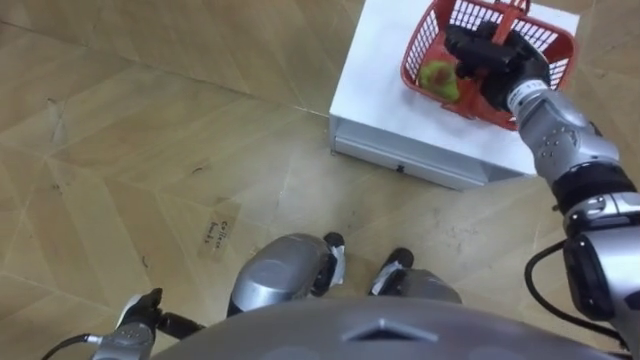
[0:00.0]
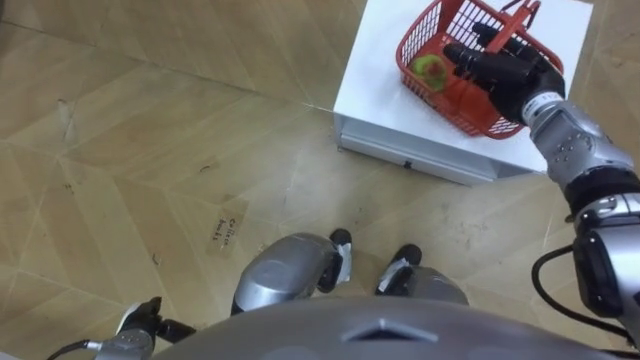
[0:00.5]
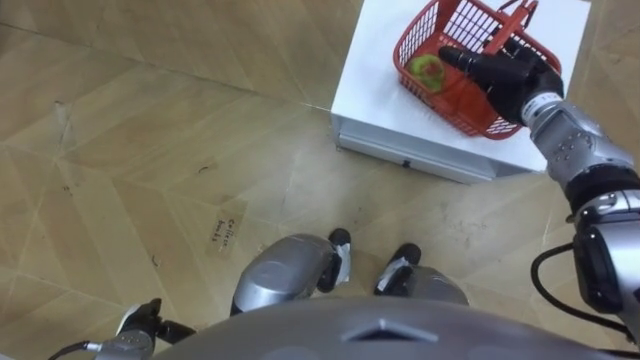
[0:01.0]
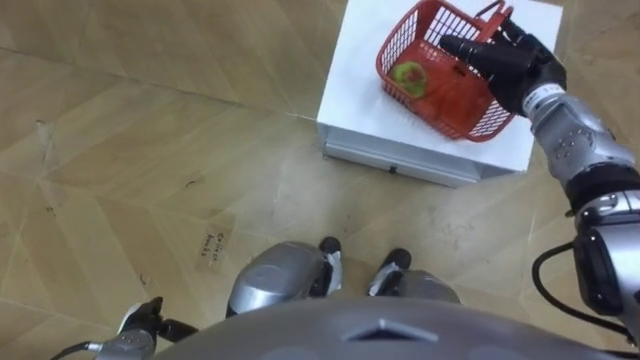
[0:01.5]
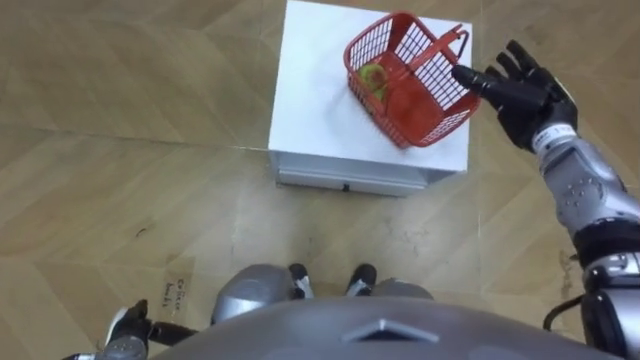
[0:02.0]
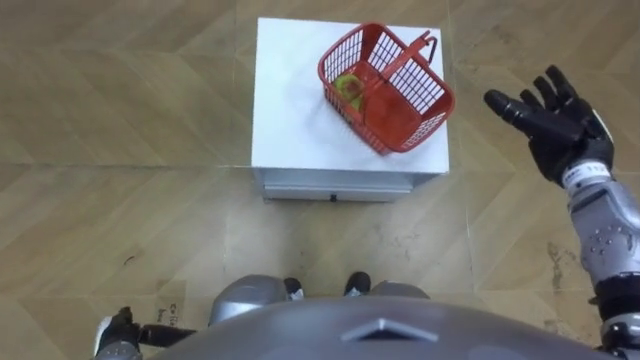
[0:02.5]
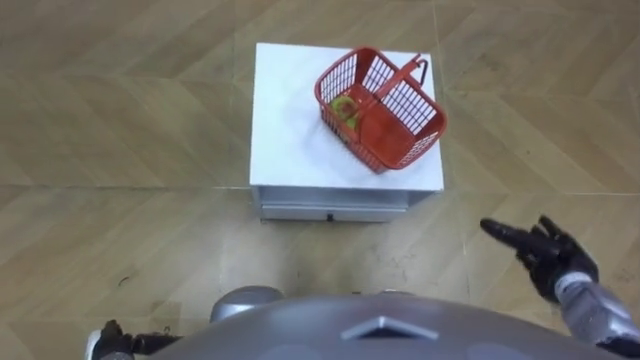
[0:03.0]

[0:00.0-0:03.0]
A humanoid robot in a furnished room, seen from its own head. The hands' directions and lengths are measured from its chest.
Task of the whole recording: Pick up the fruit basket from the floor and place it on the cabinet.
0:00.0 to 0:01.5: The right hand opens up.
0:01.5 to 0:03.0: The right hand goes about 30 cm backward and downward.

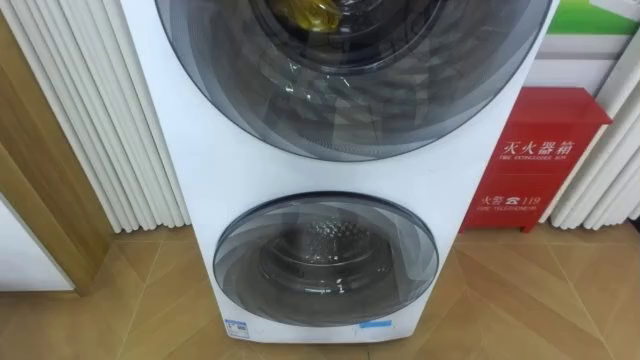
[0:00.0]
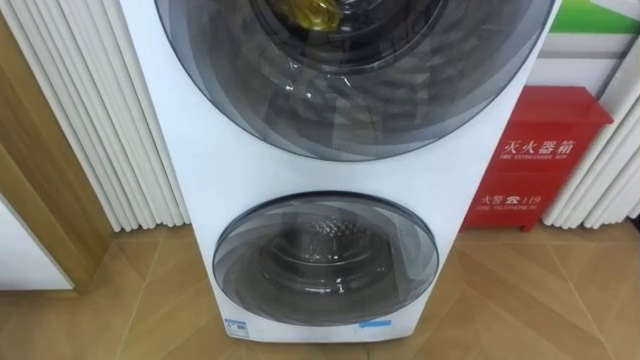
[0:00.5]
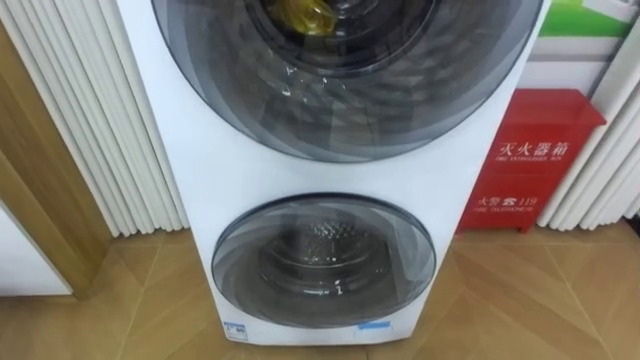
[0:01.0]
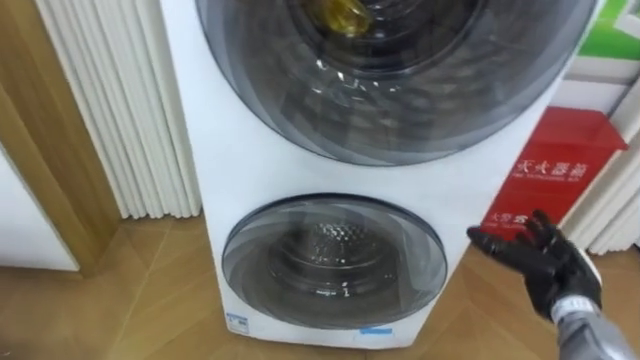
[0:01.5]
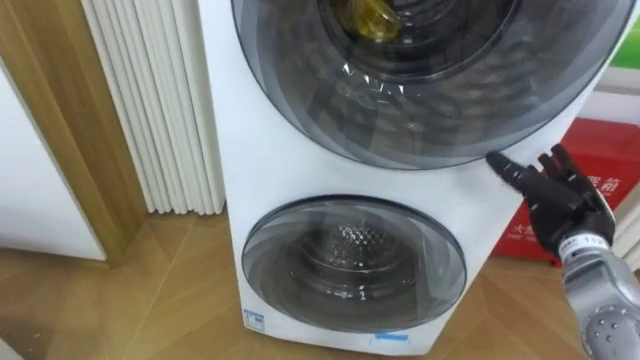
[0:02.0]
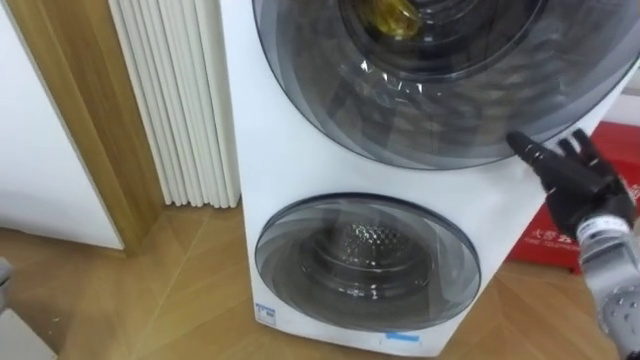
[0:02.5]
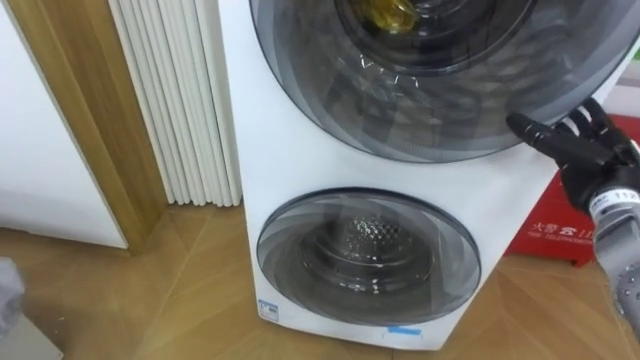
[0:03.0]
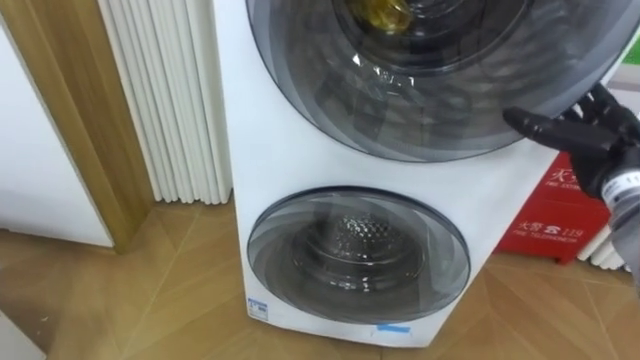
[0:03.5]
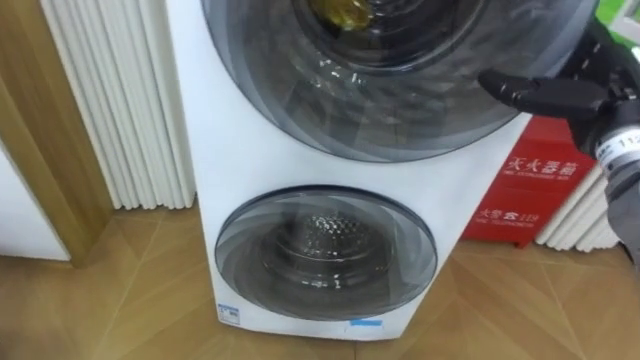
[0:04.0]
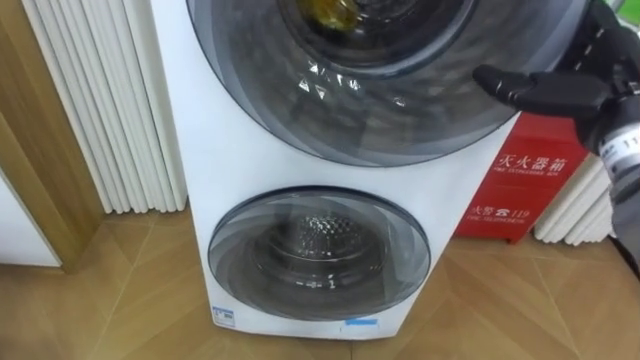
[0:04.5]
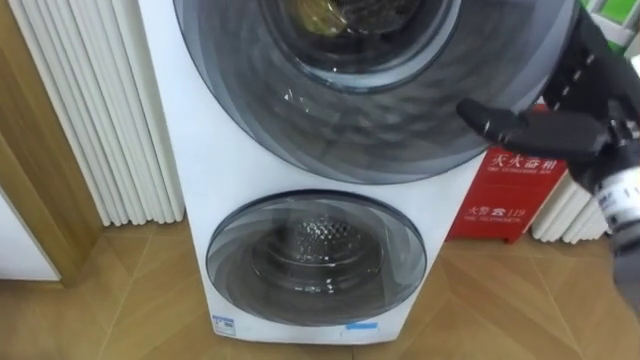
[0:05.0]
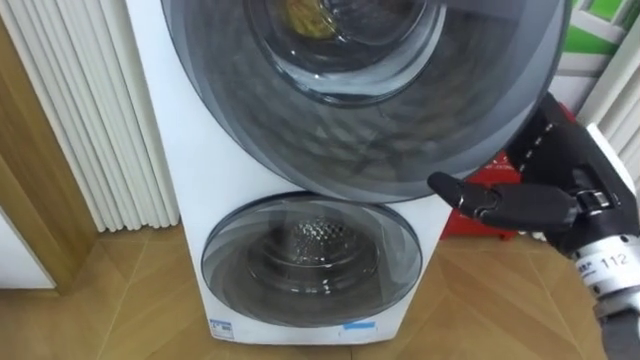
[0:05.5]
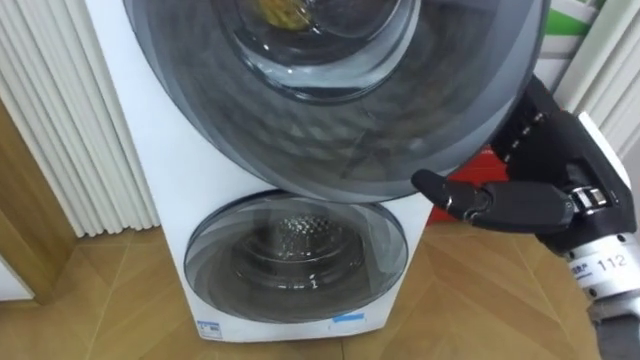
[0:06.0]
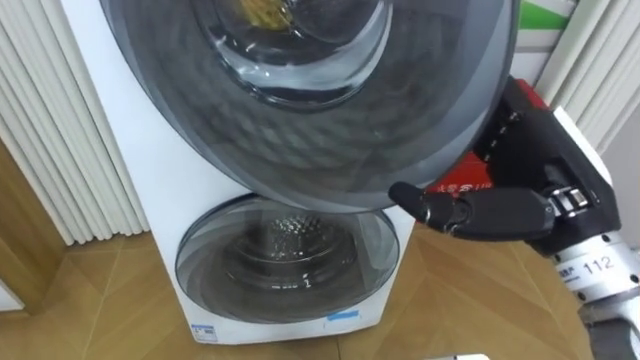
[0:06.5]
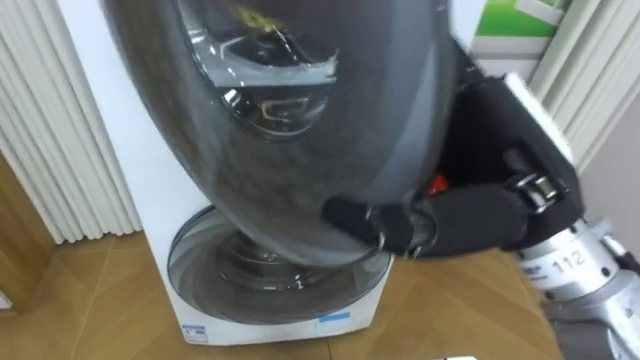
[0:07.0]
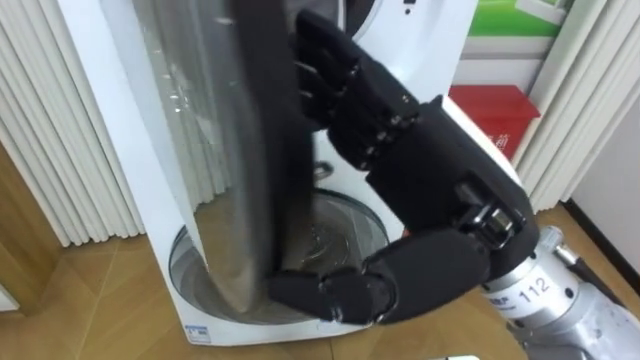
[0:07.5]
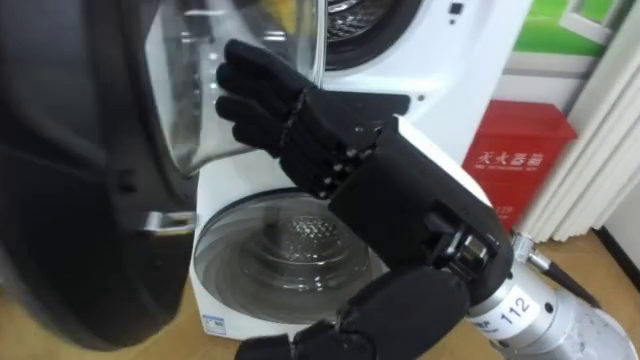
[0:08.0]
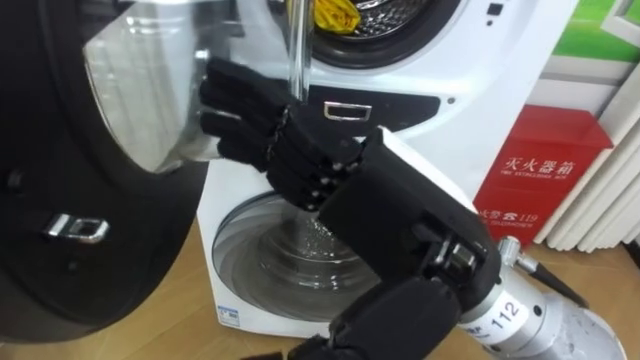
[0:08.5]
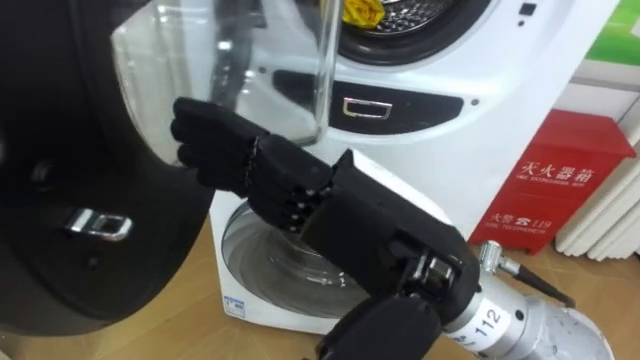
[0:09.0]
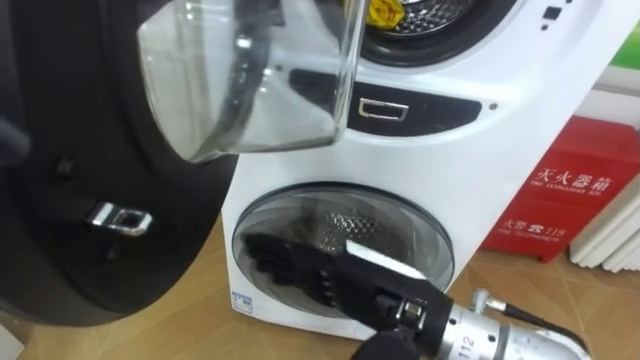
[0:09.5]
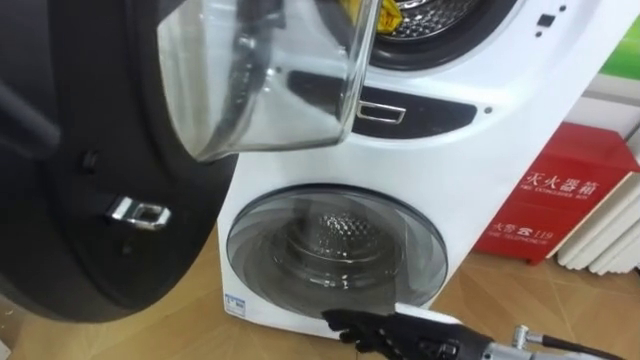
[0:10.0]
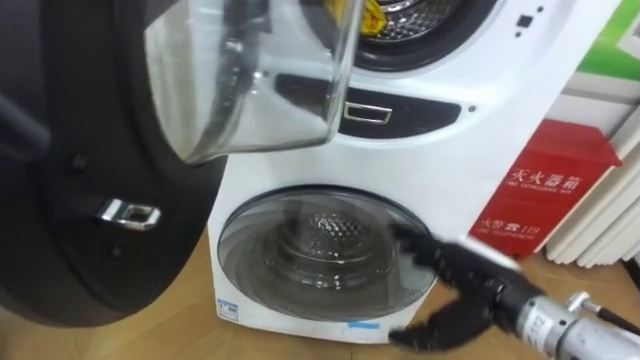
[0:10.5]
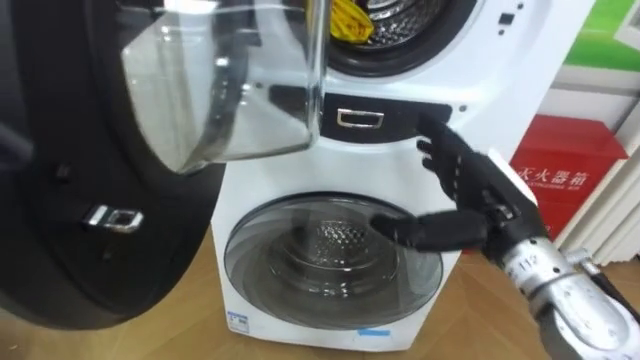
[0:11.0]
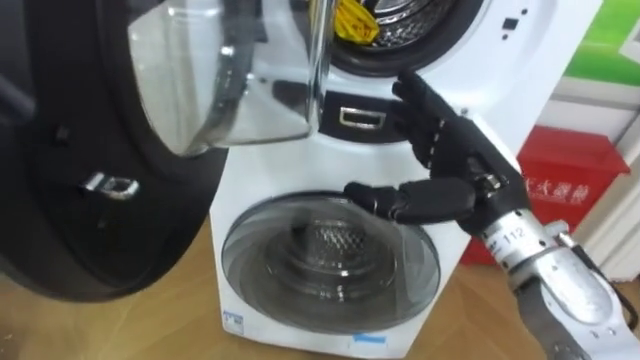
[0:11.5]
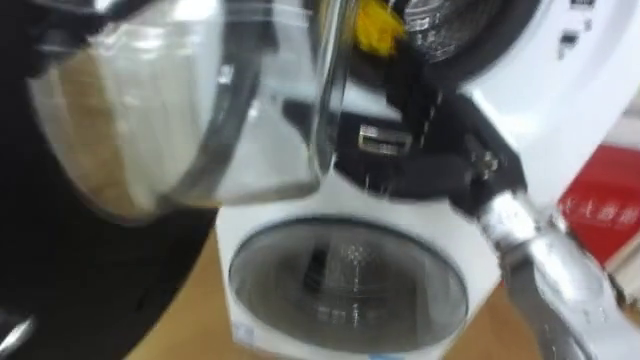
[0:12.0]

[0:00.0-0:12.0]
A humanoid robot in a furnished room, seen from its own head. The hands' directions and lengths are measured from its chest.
Task of the whole recording: Open the washing machine door, take out the yellow clothes, place them in the box on the right, and close the washing machine door.
0:02.0 to 0:04.0: The right hand is displaced upward by about 15 cm.
0:04.0 to 0:06.0: The right hand heads backward and to the left, covering some 15 cm.
0:06.0 to 0:08.0: The right hand shifts approximately 15 cm to the left and backward.
0:08.0 to 0:10.0: The right hand goes roughly 25 cm downward.
0:10.0 to 0:12.0: The right hand goes about 20 cm upward and forward.

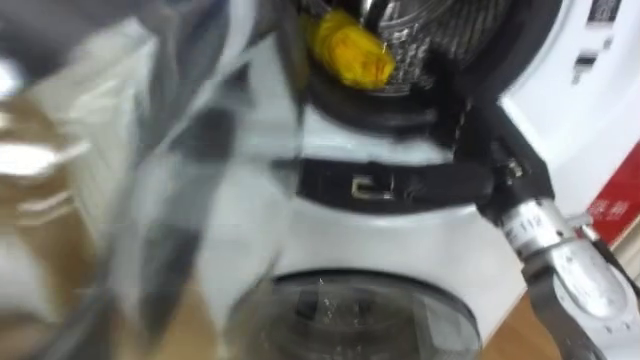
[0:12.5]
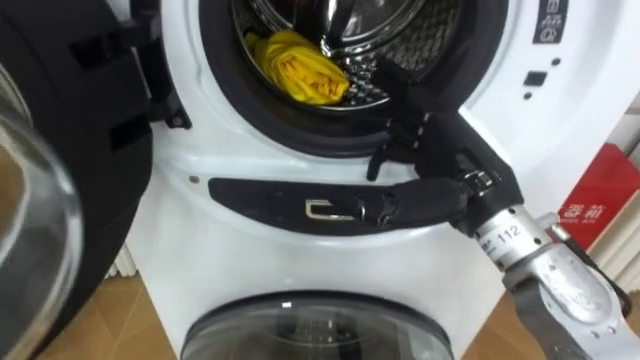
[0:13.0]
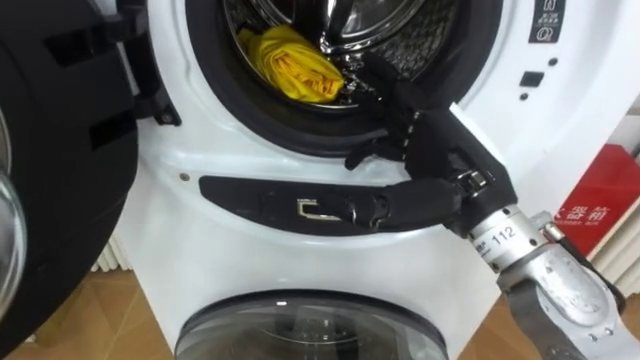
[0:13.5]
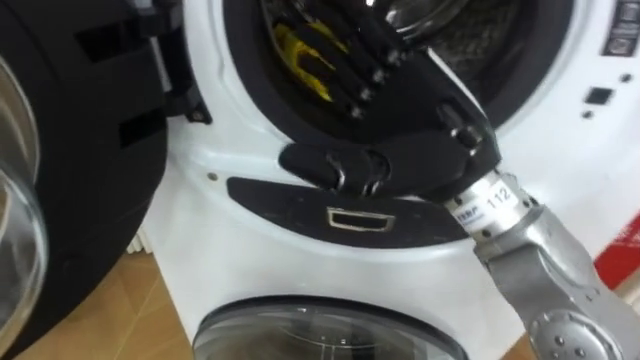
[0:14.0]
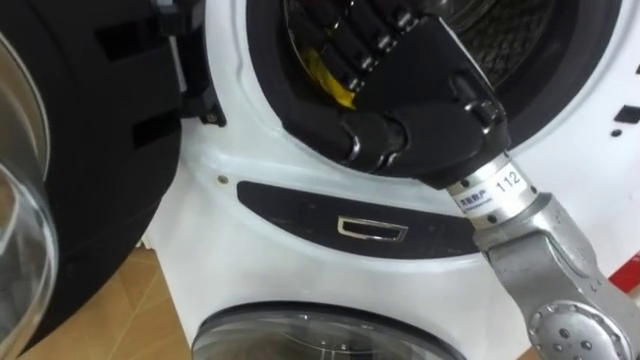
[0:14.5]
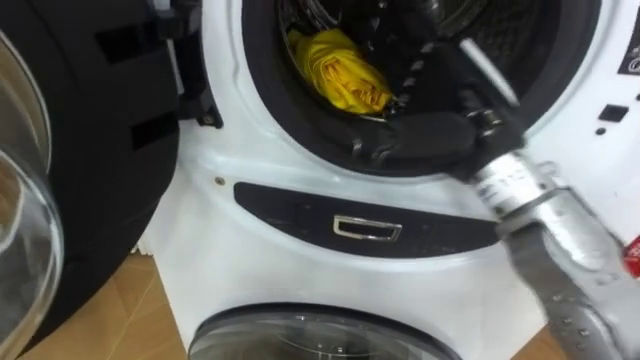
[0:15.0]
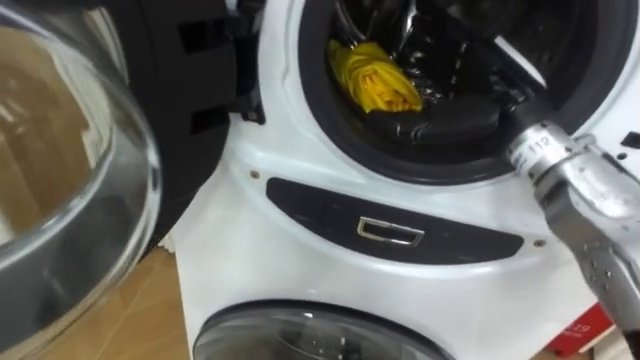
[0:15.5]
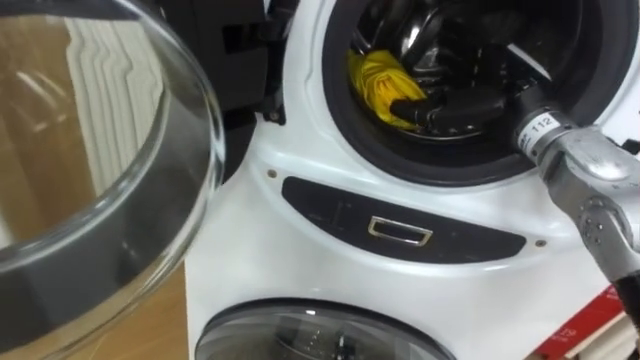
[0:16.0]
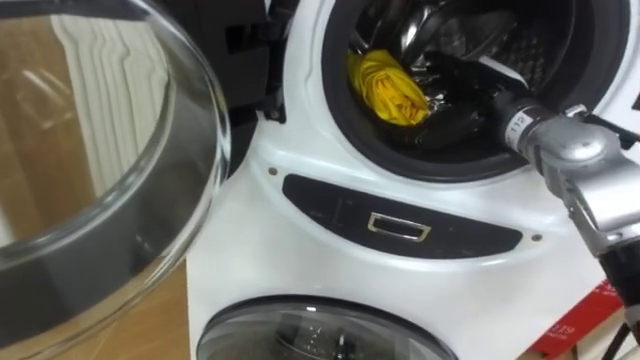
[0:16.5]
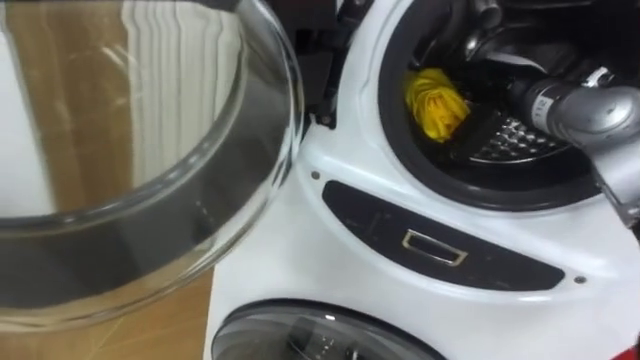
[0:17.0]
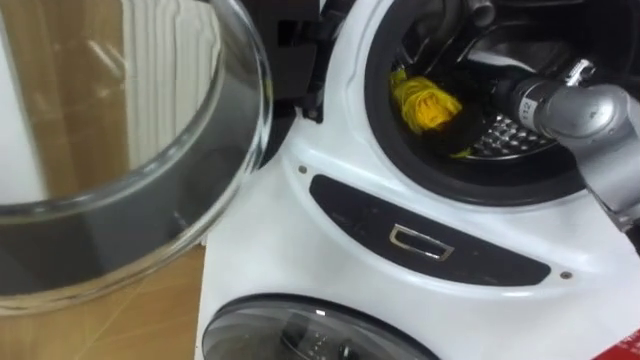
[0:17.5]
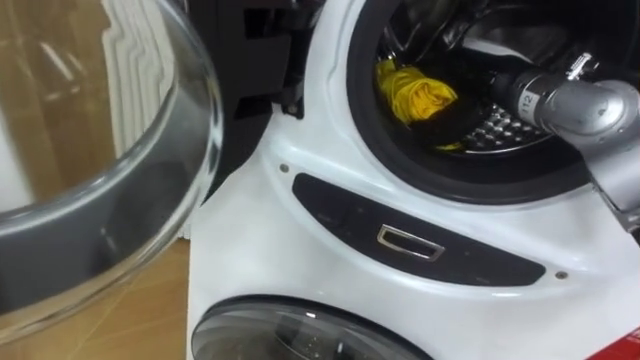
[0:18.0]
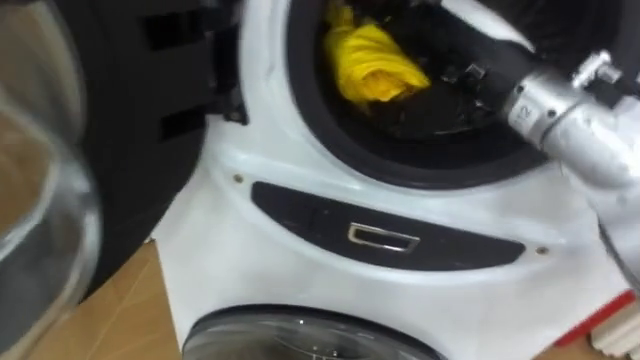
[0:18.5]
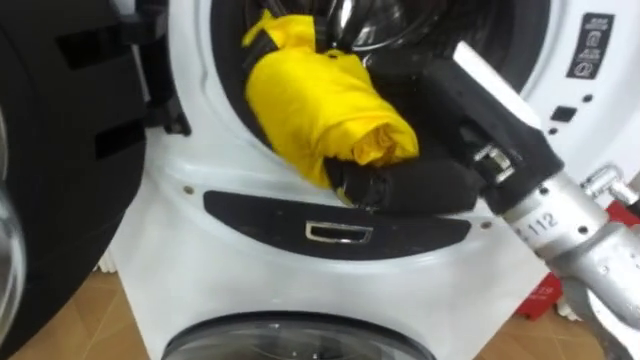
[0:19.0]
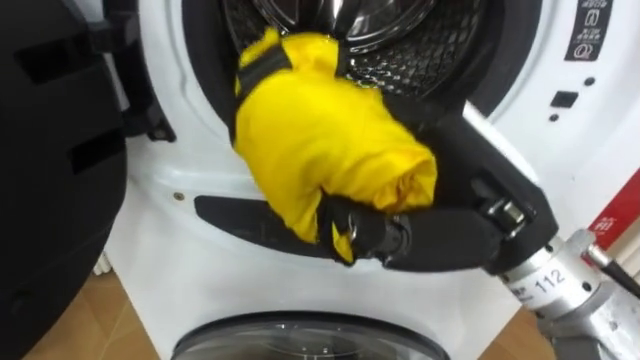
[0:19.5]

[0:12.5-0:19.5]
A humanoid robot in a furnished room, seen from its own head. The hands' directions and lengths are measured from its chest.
Task of the whole recording: Open the washing machine door, take out the yellow clothes, place them in the box on the right, and close the washing machine door.
0:12.5 to 0:14.5: The right hand heads upward and to the left, covering roughly 15 cm.
0:14.5 to 0:16.0: The right hand is displaced forward, to the right and downward by about 20 cm.
0:16.0 to 0:17.5: The right hand closes.
0:17.5 to 0:19.5: The right hand is displaced backward by roughly 20 cm.
